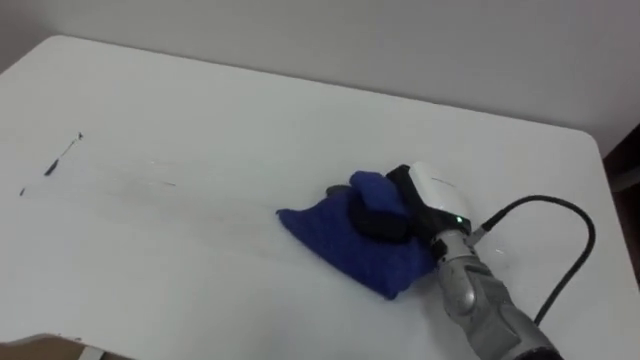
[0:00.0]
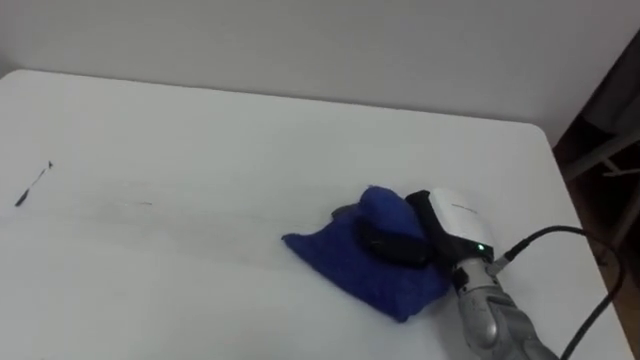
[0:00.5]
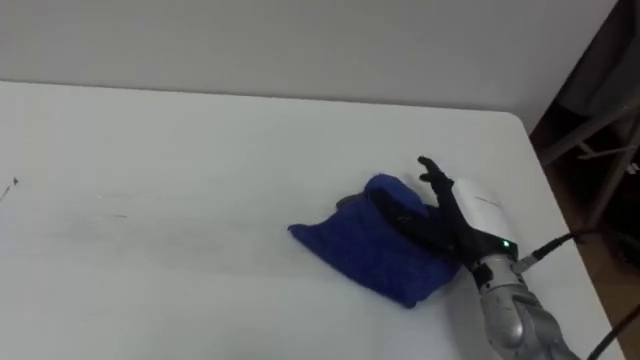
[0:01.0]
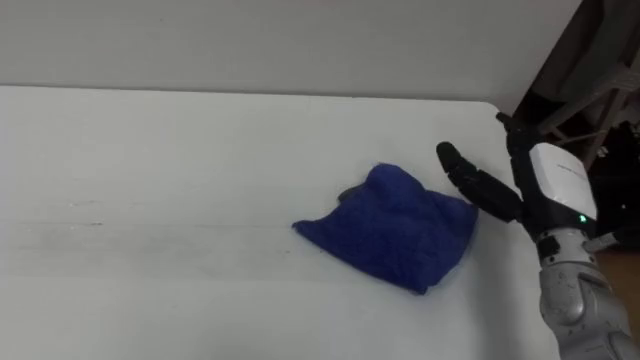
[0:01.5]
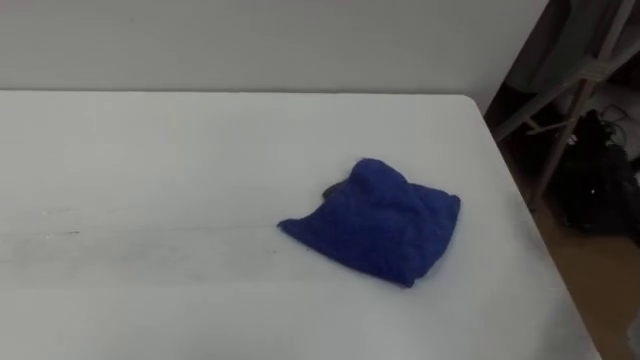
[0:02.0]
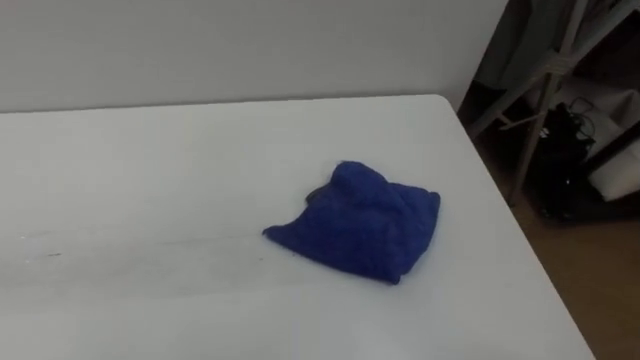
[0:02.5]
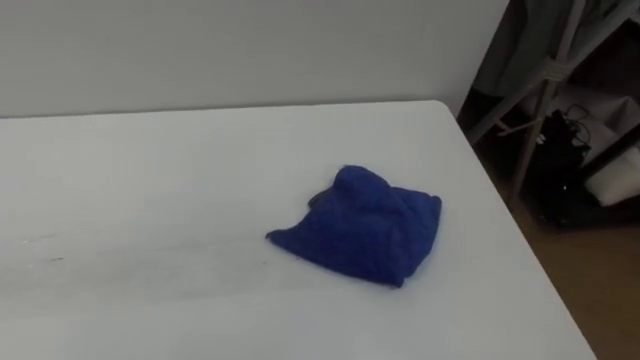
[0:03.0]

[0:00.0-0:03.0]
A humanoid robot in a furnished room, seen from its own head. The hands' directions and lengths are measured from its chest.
Task of the whole recording: Wipe the blue pen marks off the table with the rag.
0:00.0 to 0:01.5: The right hand moves to the right and upward, roughly 15 cm, and opens up.

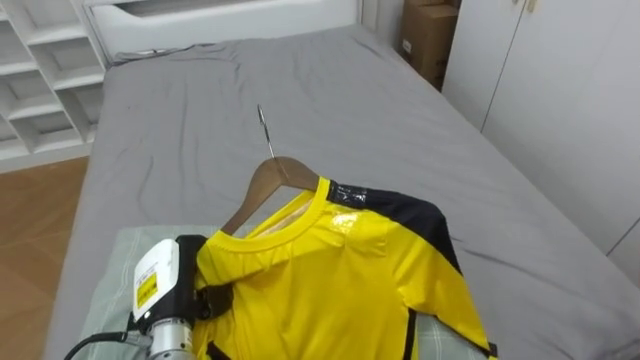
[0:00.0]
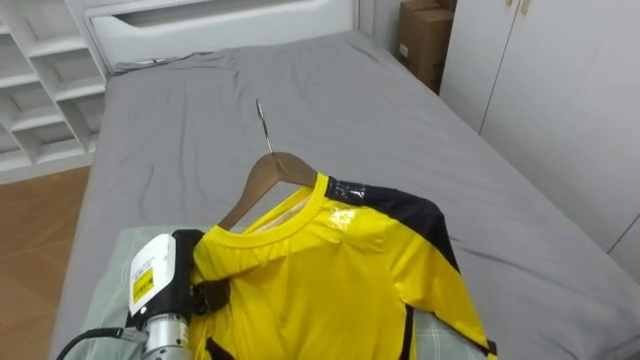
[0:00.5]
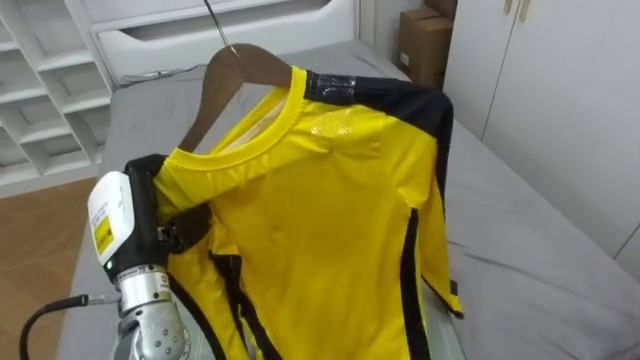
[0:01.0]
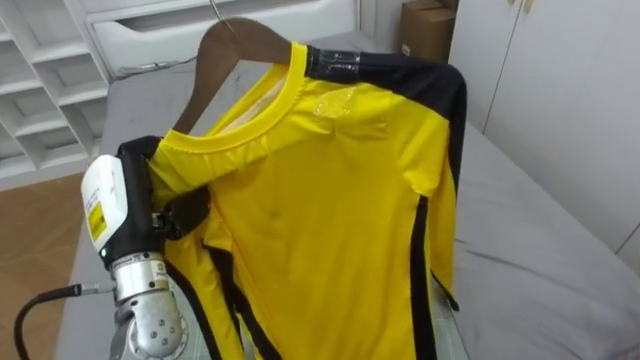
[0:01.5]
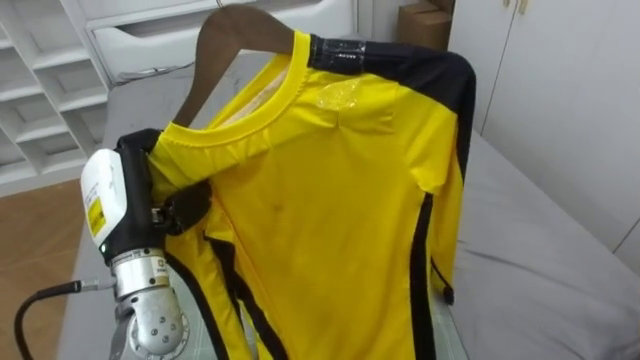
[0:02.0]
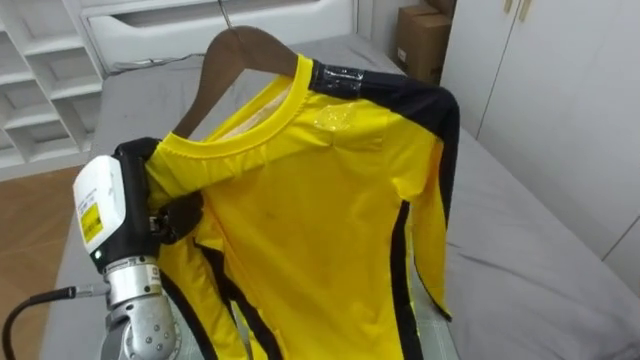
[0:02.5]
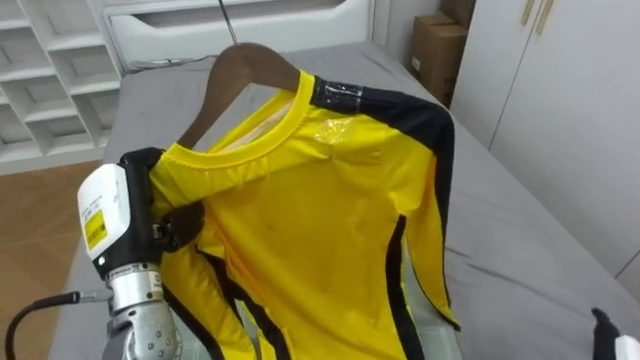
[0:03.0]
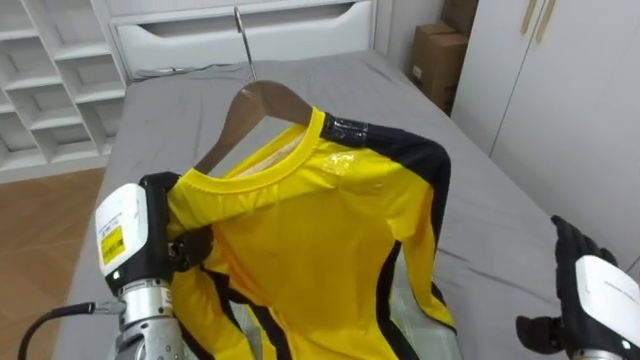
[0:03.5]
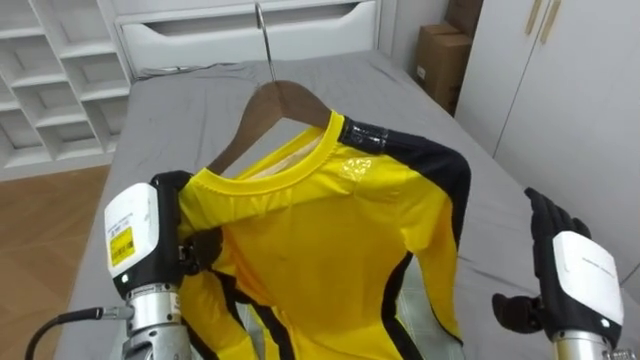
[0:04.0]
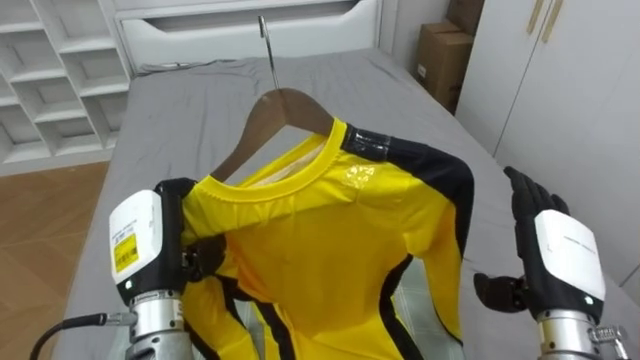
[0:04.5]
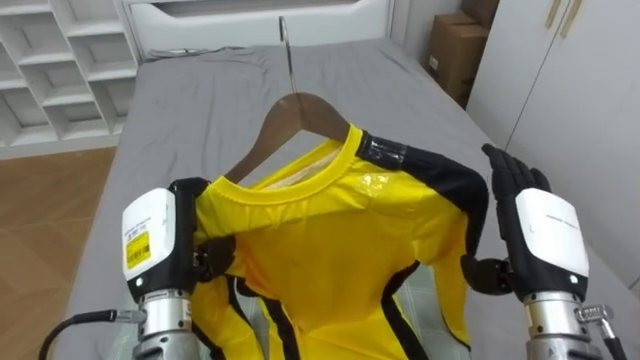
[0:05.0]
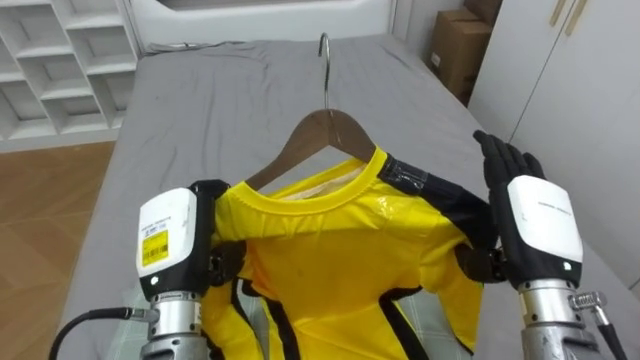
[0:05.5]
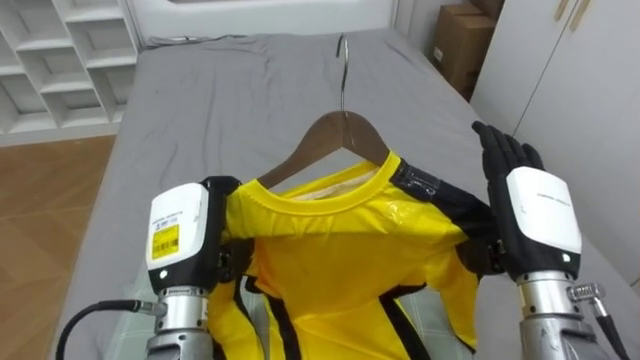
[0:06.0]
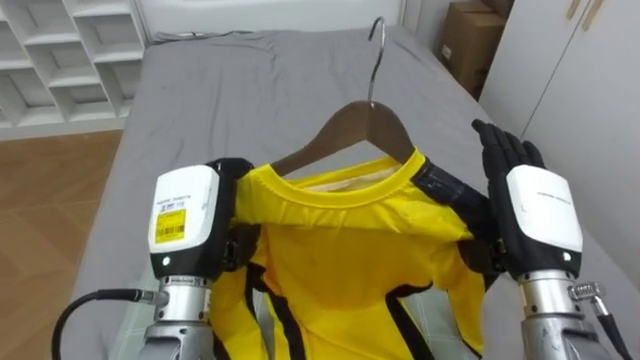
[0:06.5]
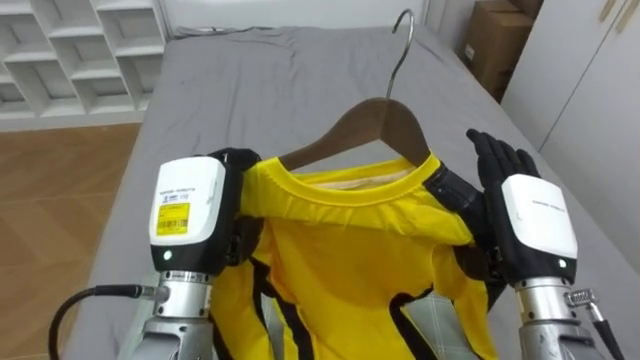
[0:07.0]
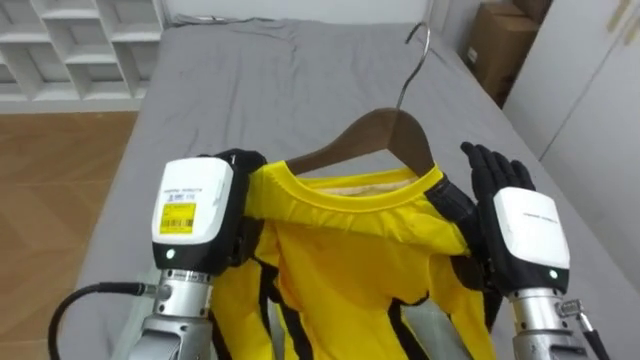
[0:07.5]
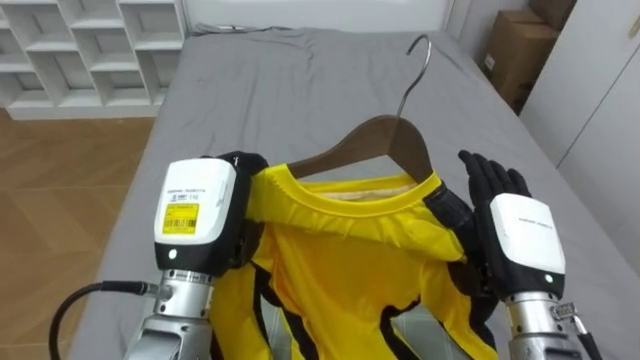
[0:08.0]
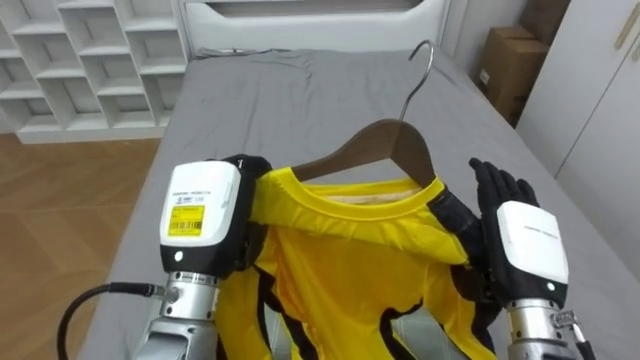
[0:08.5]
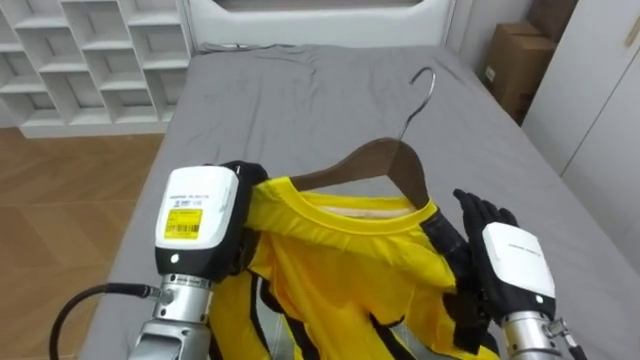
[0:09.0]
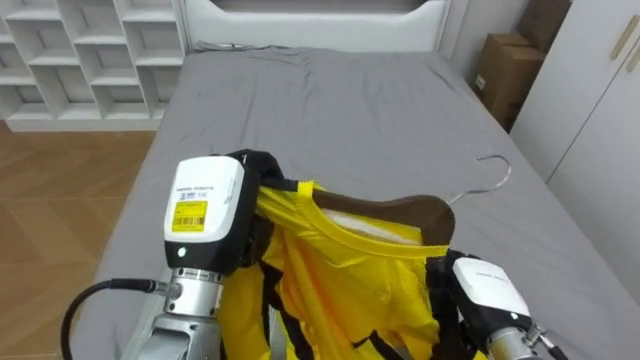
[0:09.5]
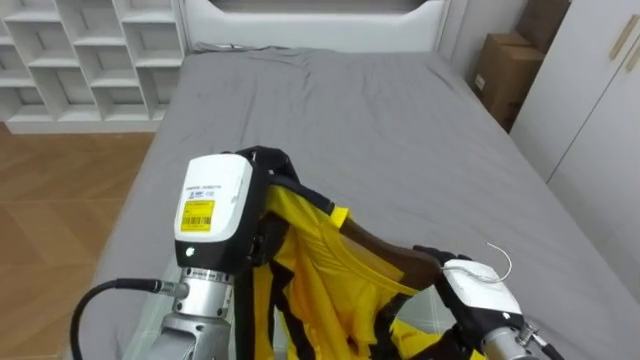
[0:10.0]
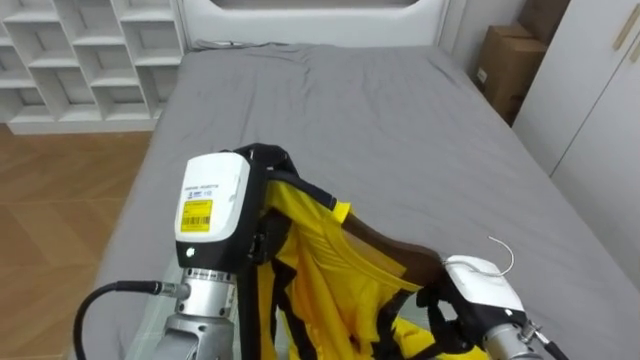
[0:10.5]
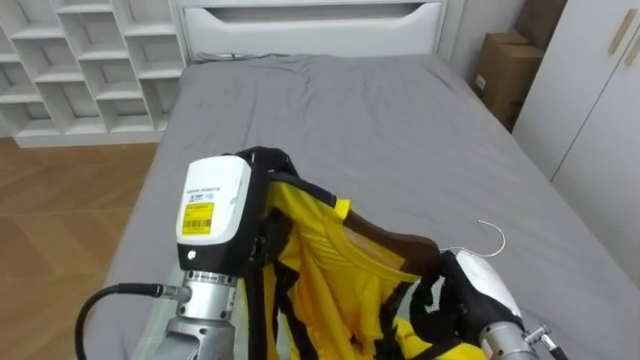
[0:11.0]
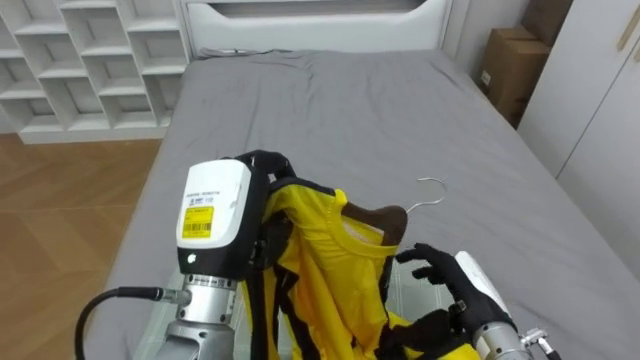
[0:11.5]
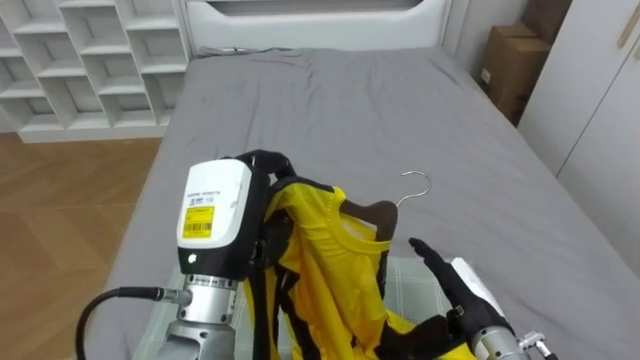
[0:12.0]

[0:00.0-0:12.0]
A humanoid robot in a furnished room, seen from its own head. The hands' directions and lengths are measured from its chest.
Task of the whole recording: Pick up the yellow shirt on the bed and hang it on the clothes rack on the right.
0:00.0 to 0:02.0: The left hand moves upward, some 15 cm.
0:04.0 to 0:06.0: The right hand is displaced upward and to the left by about 10 cm.
0:06.0 to 0:08.0: The left hand moves approximately 5 cm.
0:08.0 to 0:10.0: The right hand heads downward, covering about 10 cm.
0:10.0 to 0:12.0: The right hand closes, then opens again.

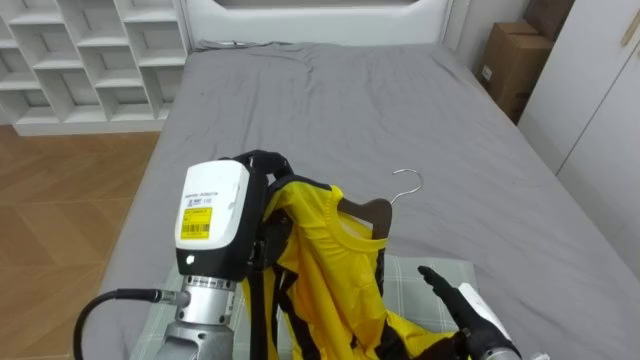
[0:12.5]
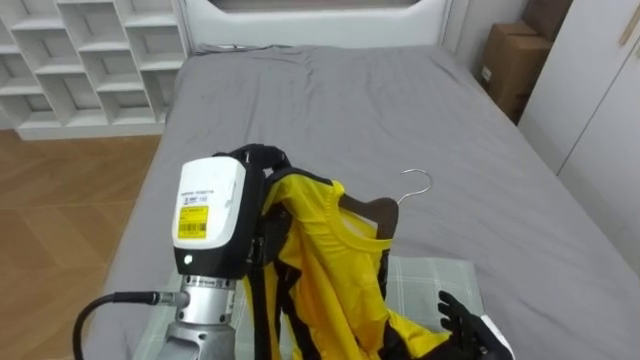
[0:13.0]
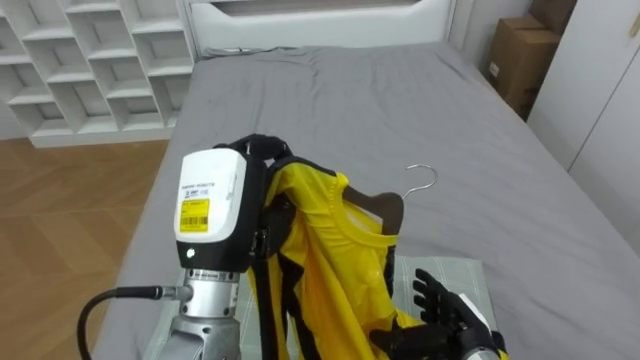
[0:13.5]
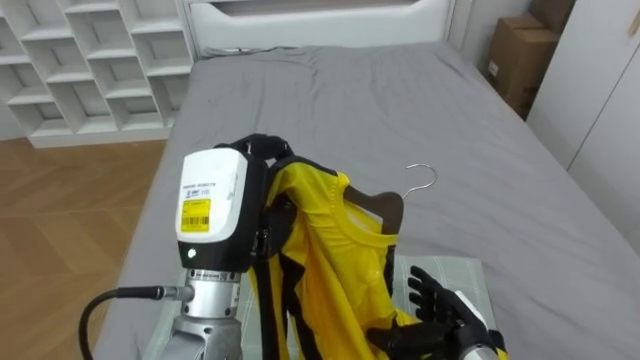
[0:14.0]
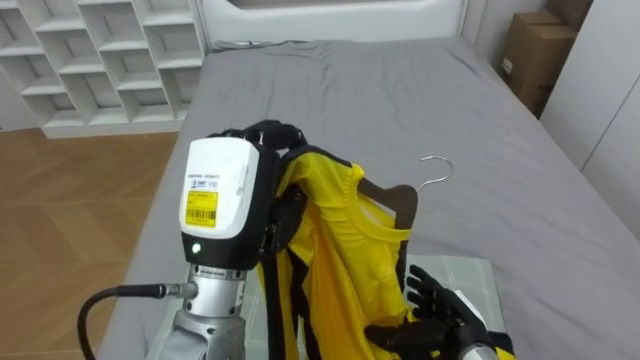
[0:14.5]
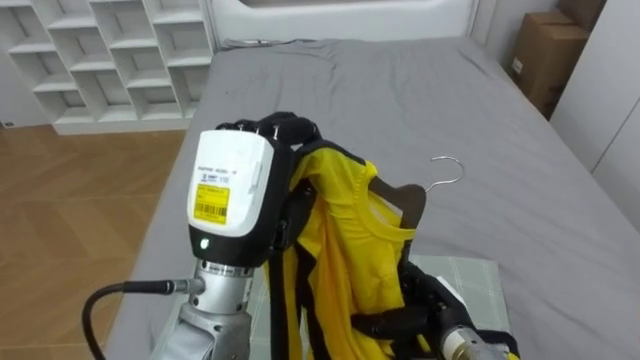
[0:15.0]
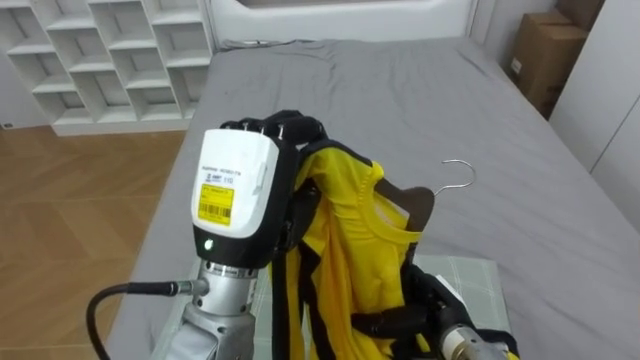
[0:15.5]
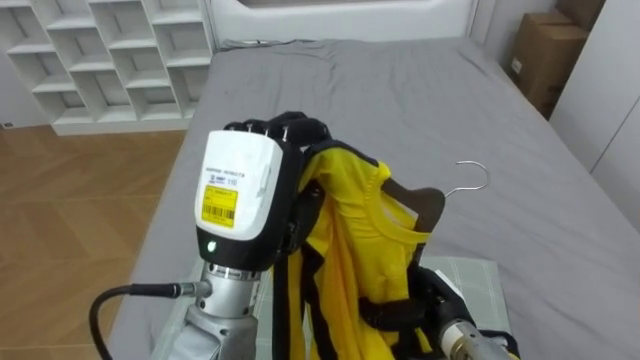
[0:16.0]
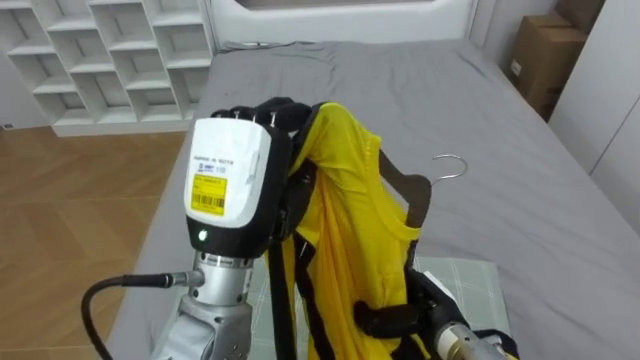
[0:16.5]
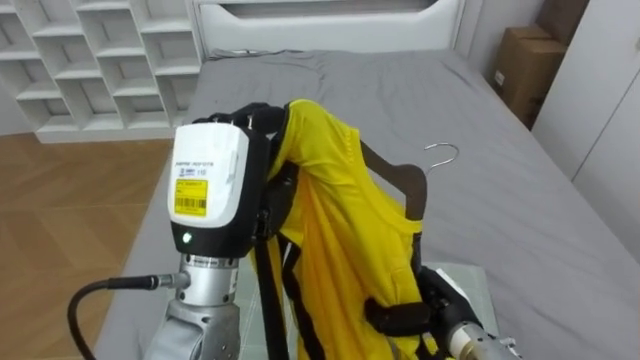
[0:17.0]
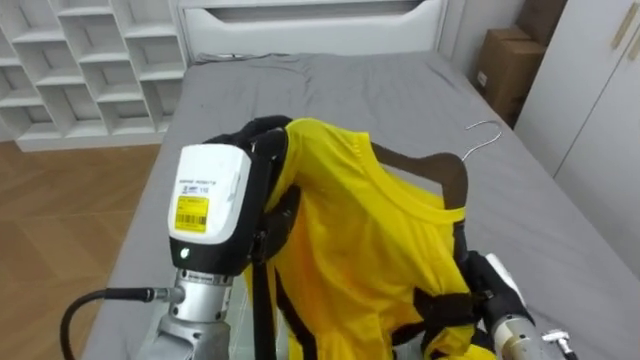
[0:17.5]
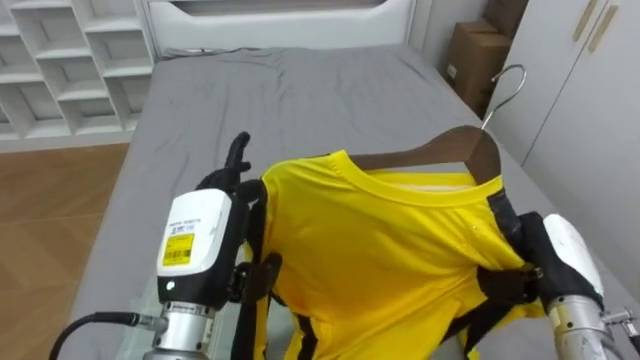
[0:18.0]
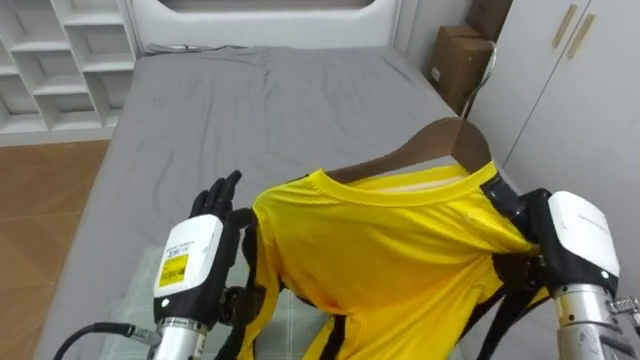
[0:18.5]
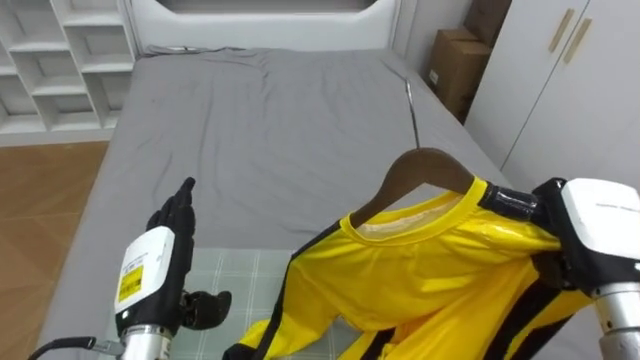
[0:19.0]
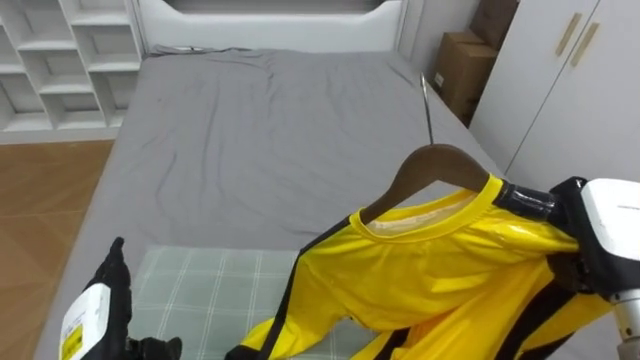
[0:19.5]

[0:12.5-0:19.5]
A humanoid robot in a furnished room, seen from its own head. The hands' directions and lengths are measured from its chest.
Task of the whole recording: Pick up the yellow shirt on the bed and hang it on the clothes rack on the right.
0:14.5 to 0:16.0: The right hand closes.
0:16.0 to 0:17.5: The right hand moves to the right, approximately 5 cm, and closes up.
0:17.5 to 0:19.5: The right hand is displaced upward and to the right by roughly 20 cm; the left hand shifts roughly 25 cm downward and to the left, and opens.
